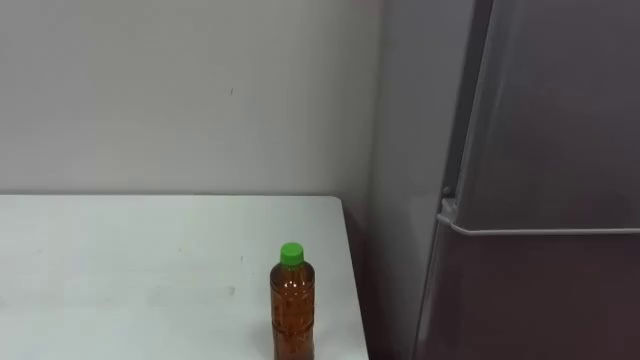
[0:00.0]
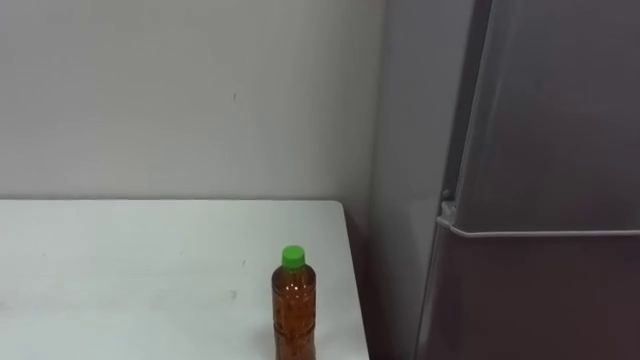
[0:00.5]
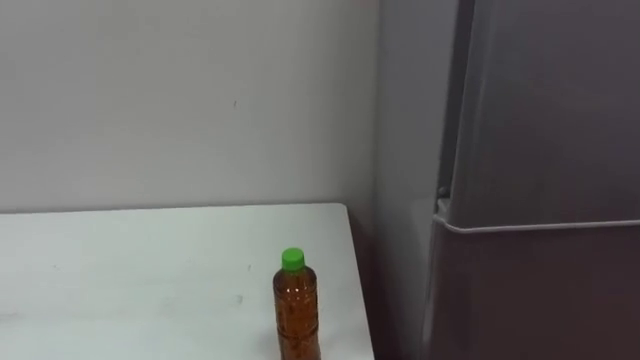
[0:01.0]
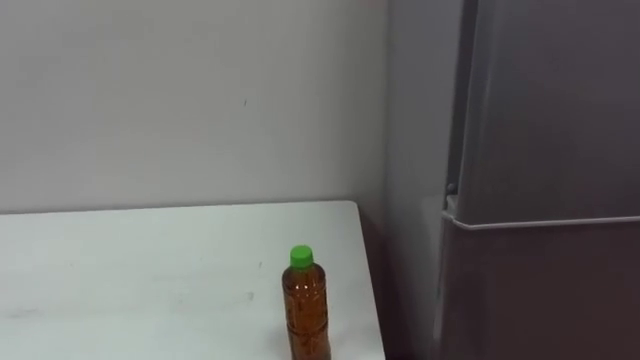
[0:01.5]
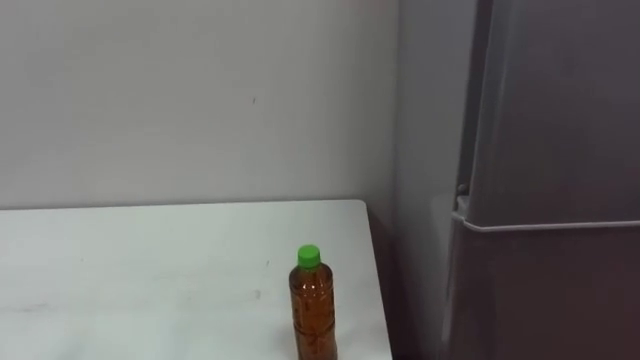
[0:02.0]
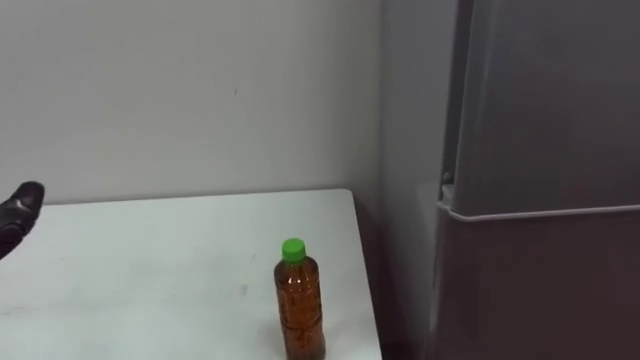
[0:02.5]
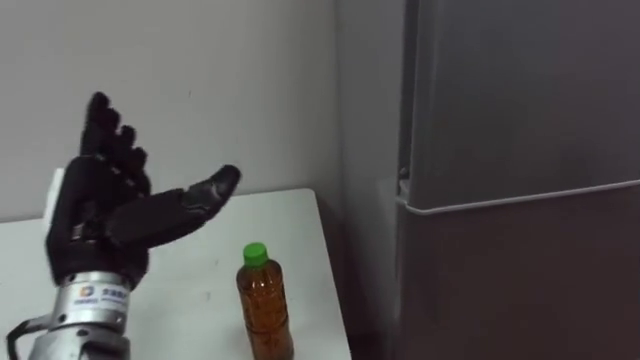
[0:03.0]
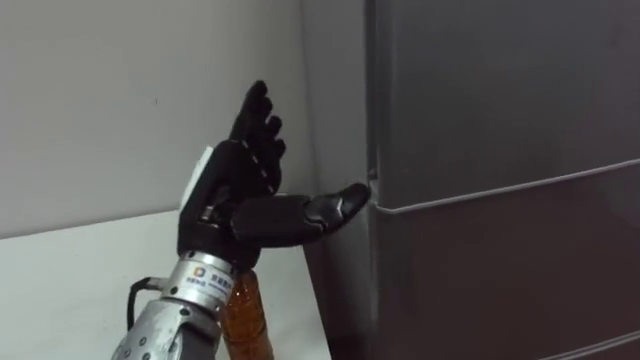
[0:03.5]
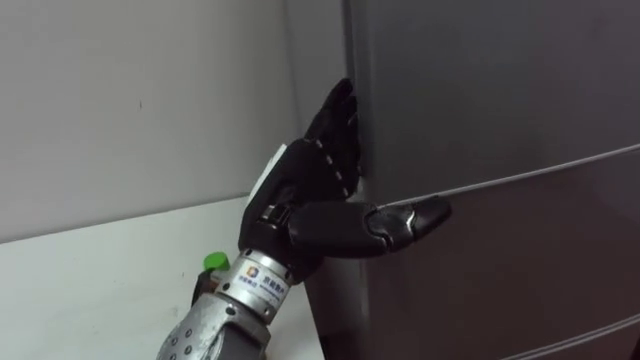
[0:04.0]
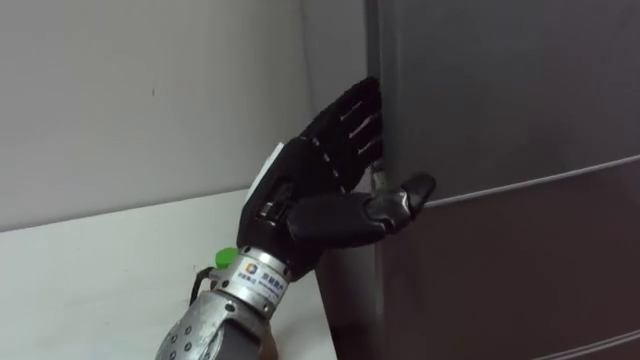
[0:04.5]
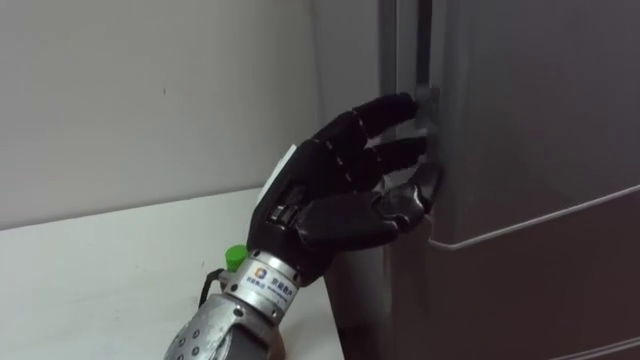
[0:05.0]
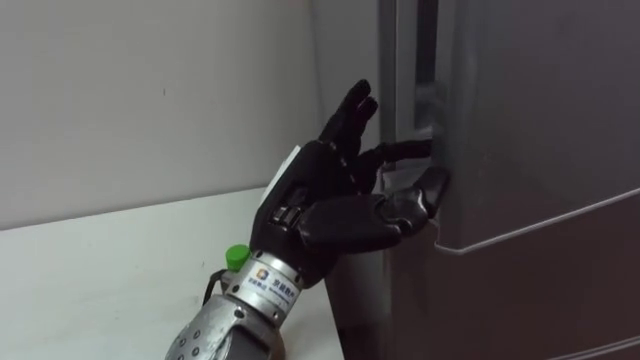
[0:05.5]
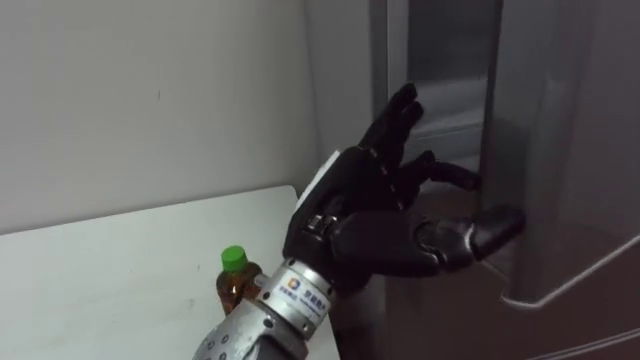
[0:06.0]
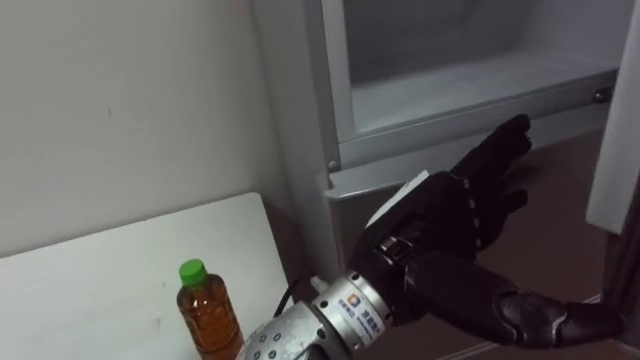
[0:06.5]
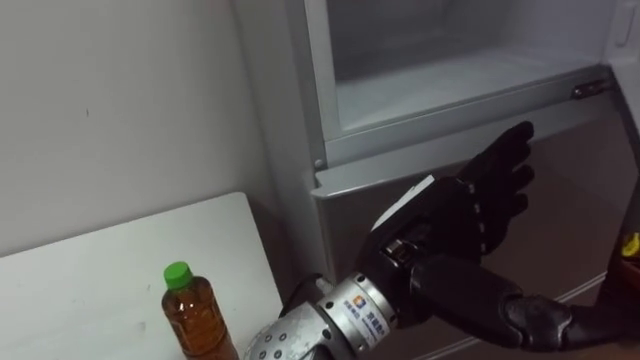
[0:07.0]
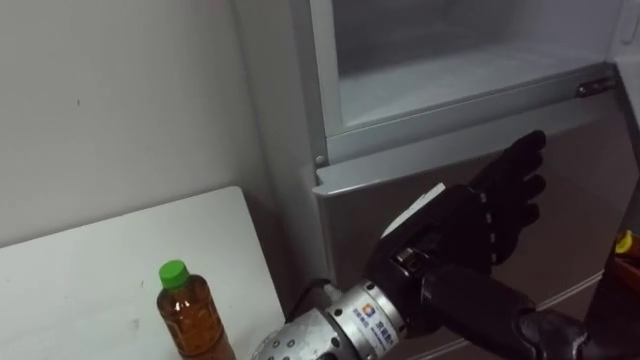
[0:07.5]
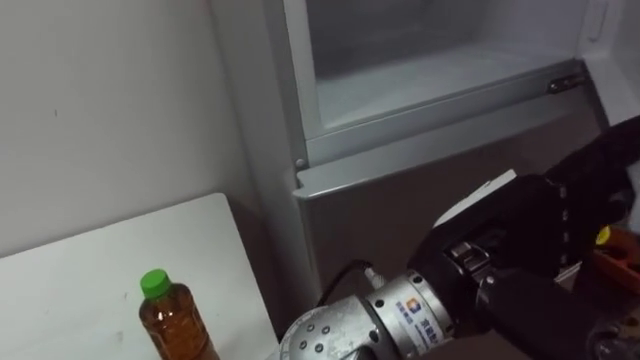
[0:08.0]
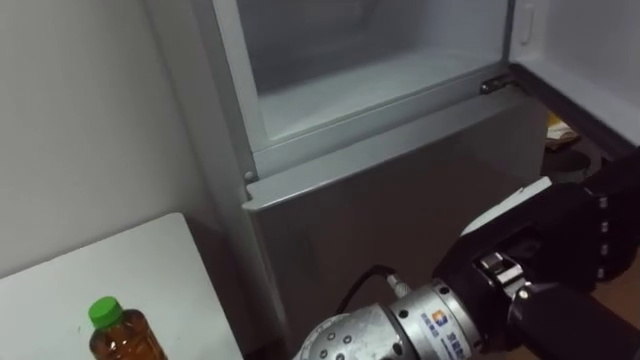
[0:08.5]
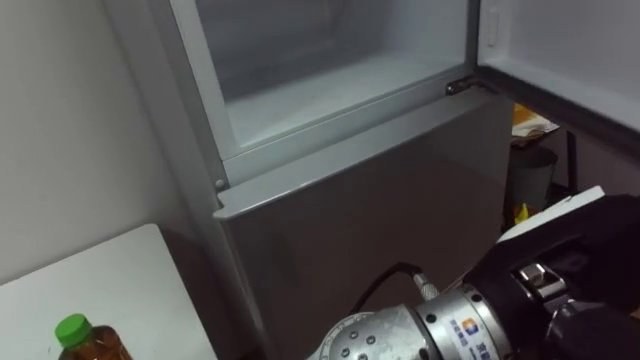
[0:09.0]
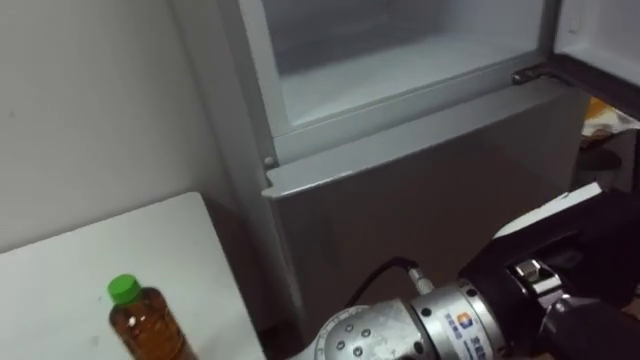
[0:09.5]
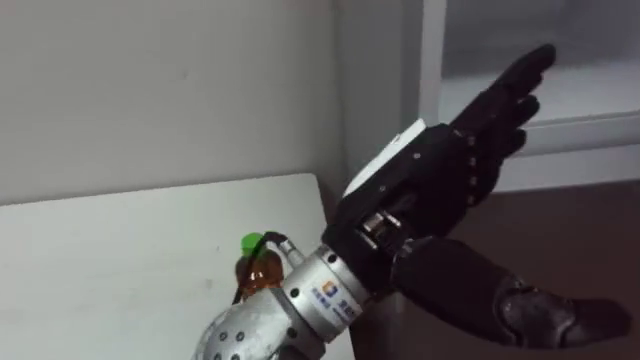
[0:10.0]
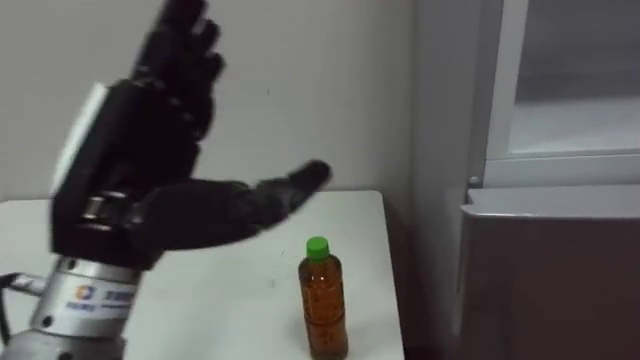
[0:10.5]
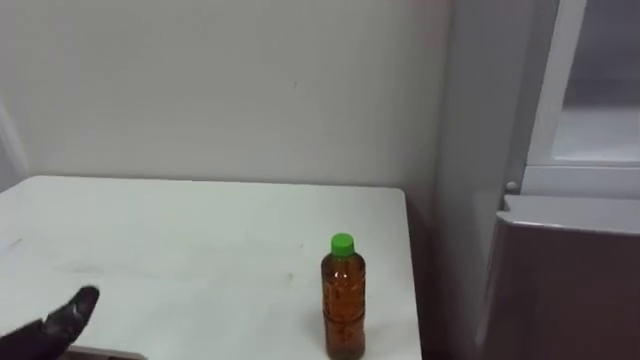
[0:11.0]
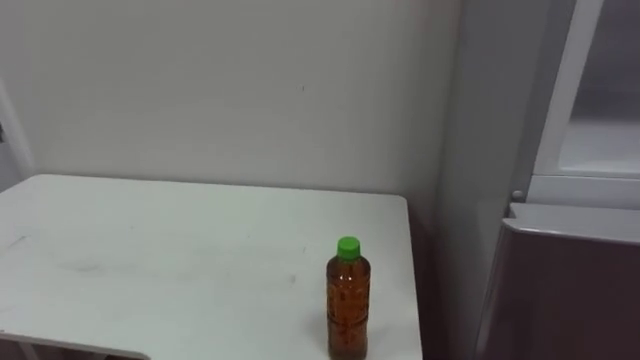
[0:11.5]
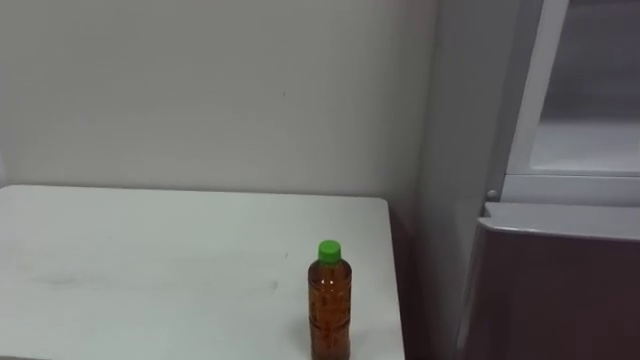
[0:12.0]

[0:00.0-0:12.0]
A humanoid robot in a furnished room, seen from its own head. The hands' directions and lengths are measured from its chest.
Task of the whole recording: Open the upper refrigerator door, put the drink from the table into the refrigerator, and then close the refrigerator door.
0:06.0 to 0:08.0: The left hand shifts roughly 10 cm to the right and backward.
0:08.0 to 0:10.0: The left hand is displaced to the left by some 5 cm.

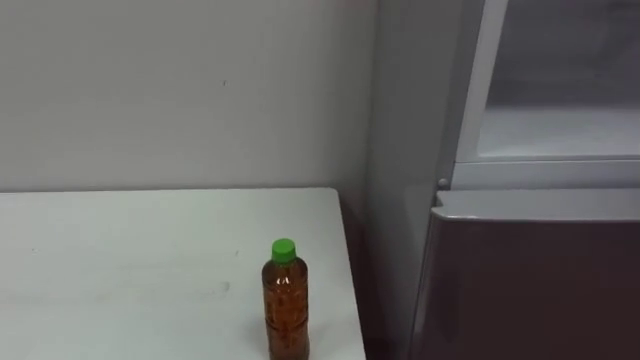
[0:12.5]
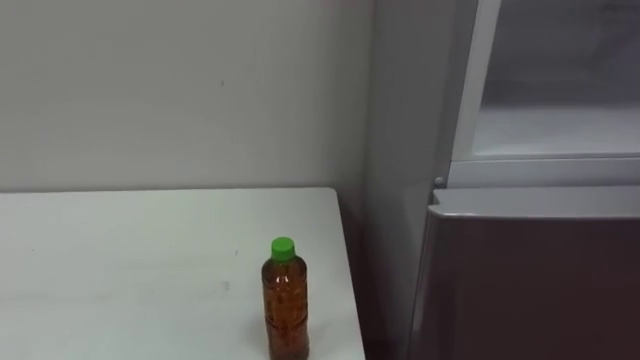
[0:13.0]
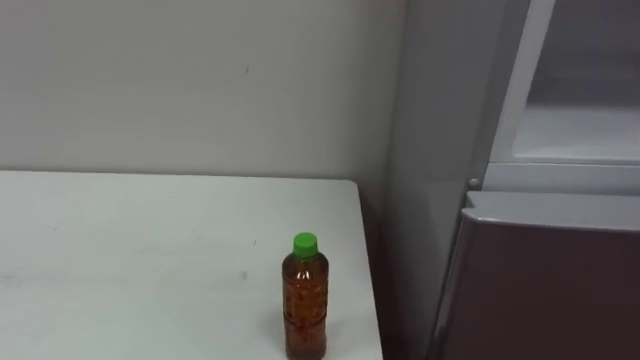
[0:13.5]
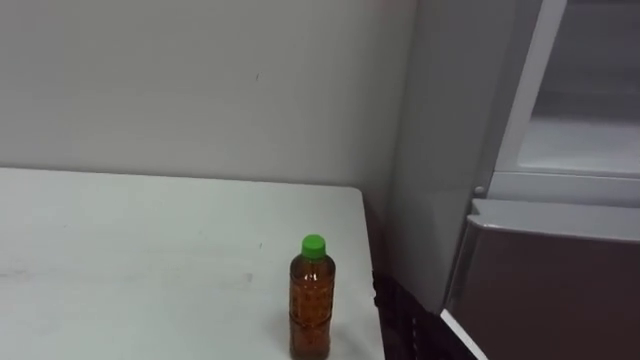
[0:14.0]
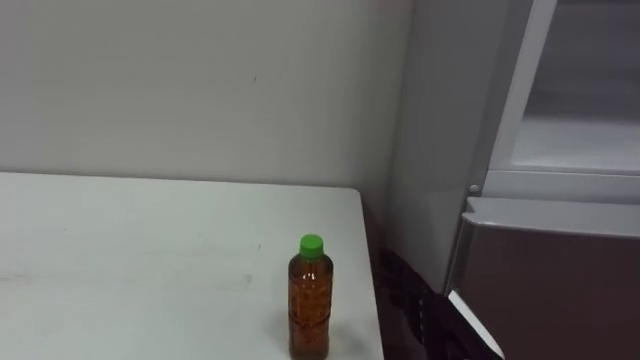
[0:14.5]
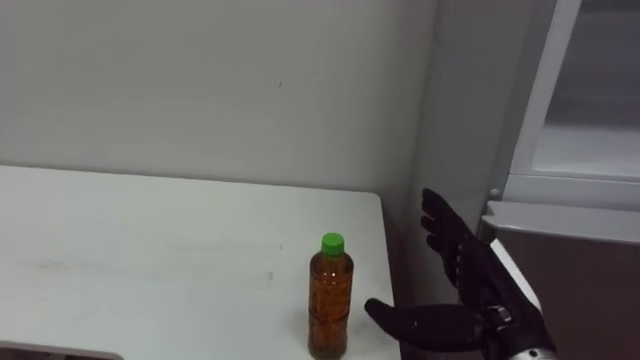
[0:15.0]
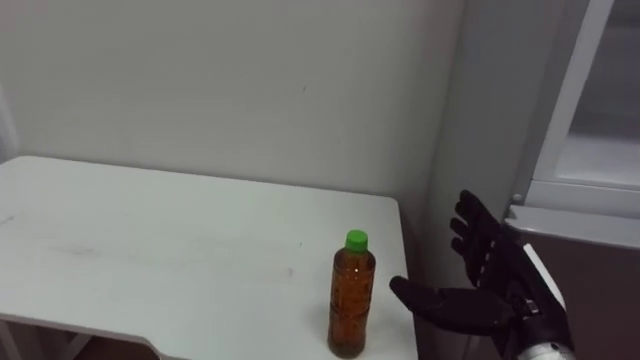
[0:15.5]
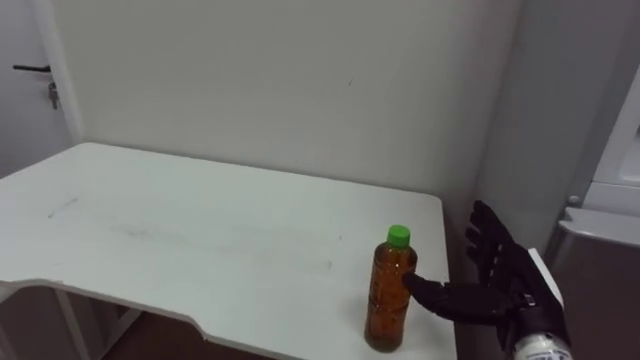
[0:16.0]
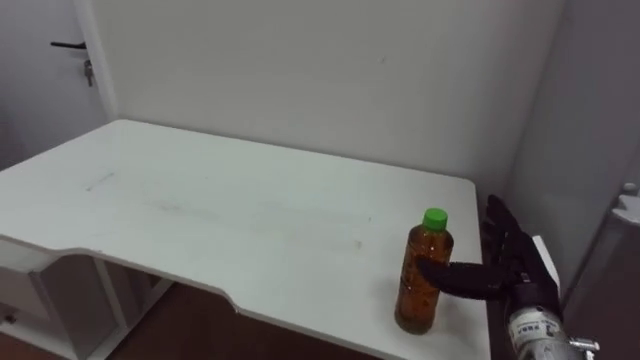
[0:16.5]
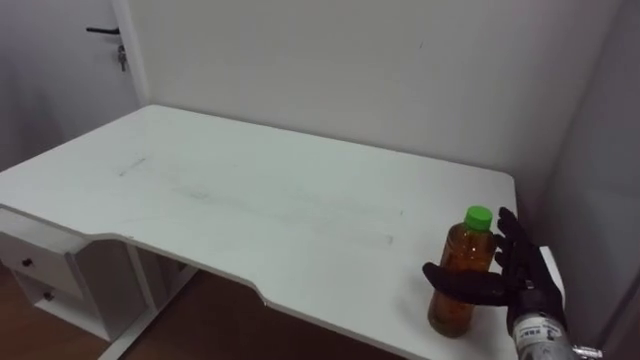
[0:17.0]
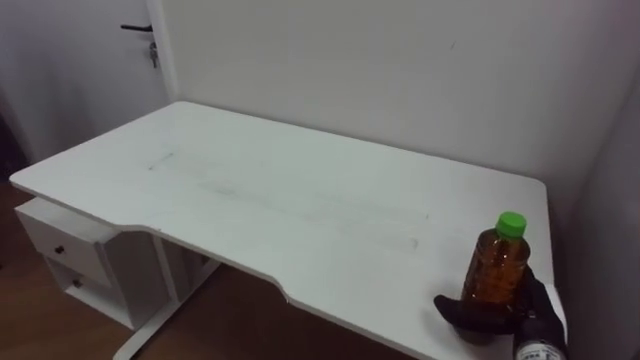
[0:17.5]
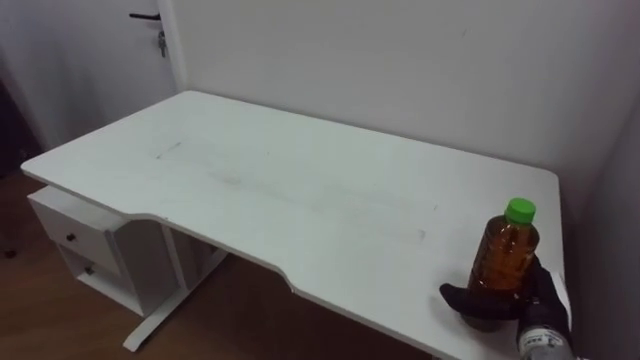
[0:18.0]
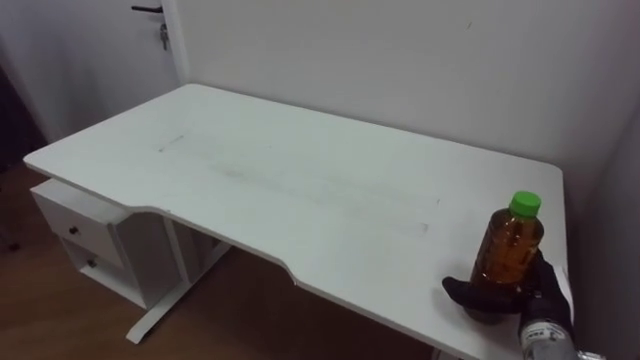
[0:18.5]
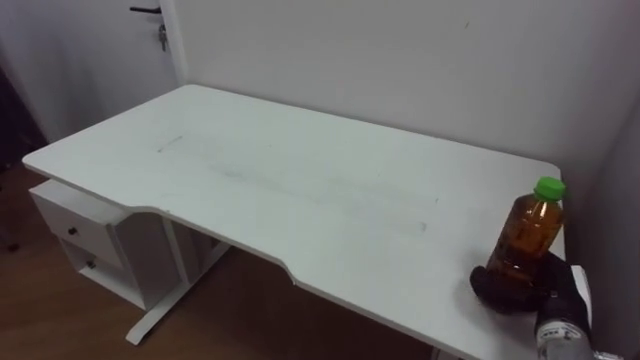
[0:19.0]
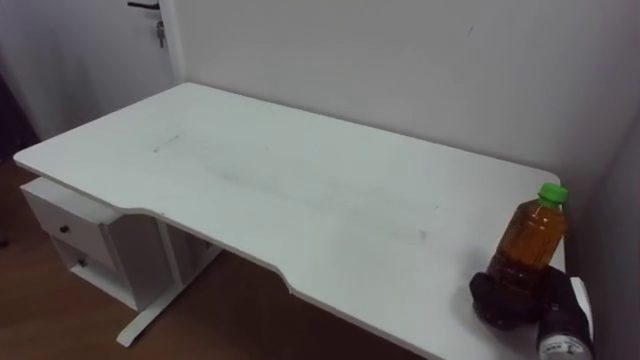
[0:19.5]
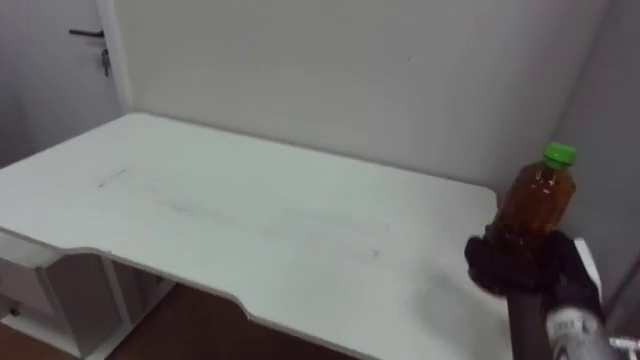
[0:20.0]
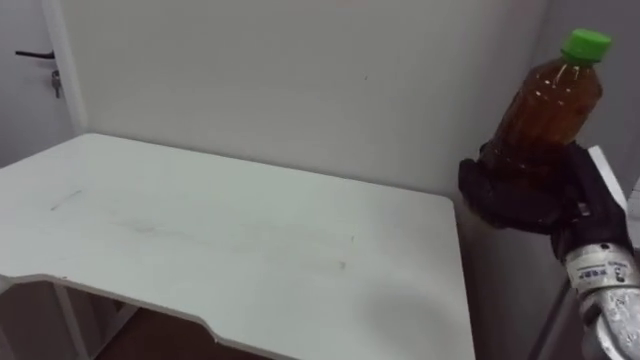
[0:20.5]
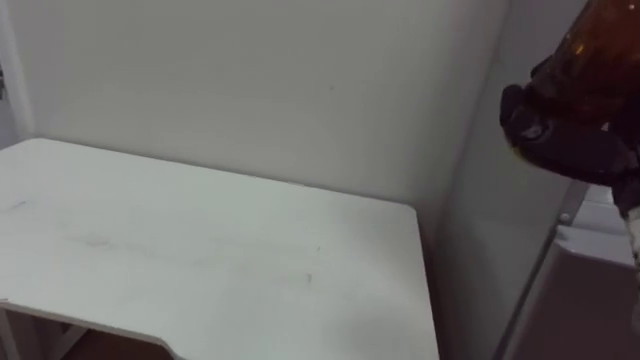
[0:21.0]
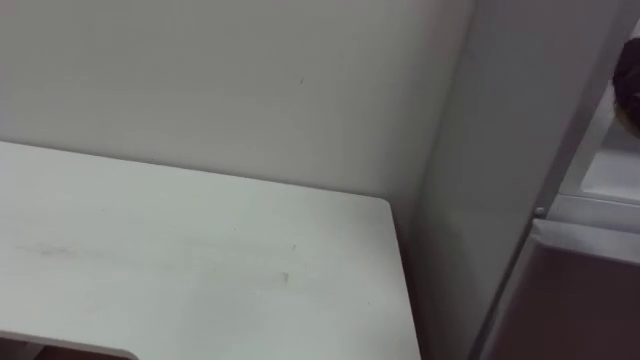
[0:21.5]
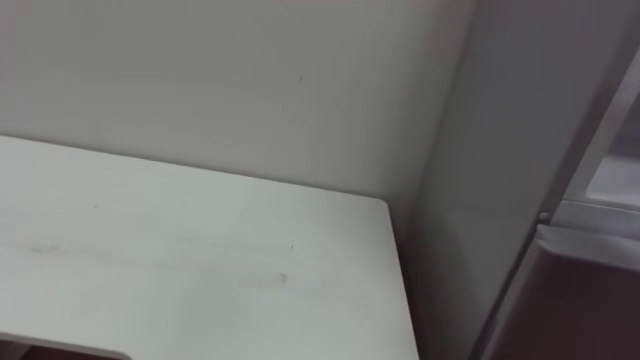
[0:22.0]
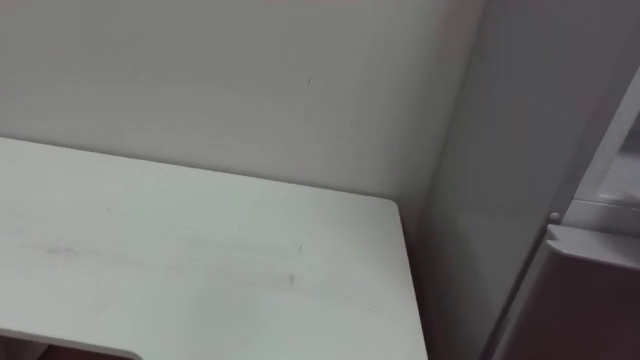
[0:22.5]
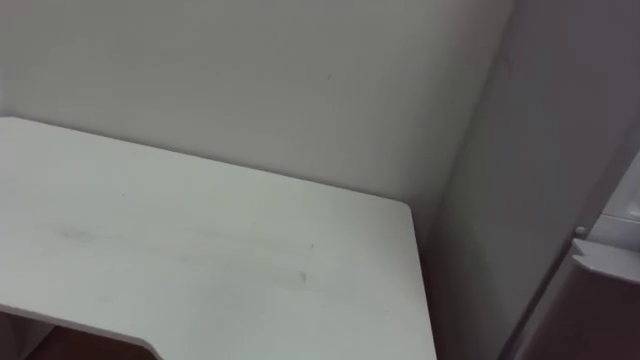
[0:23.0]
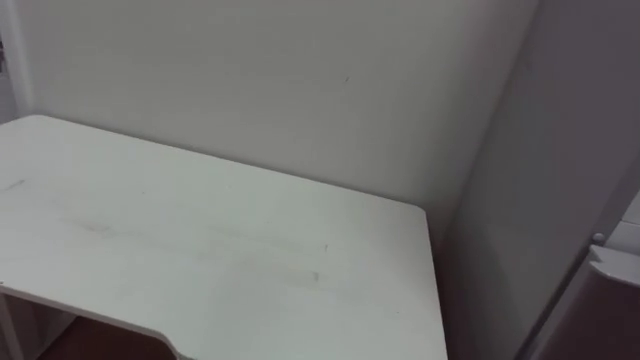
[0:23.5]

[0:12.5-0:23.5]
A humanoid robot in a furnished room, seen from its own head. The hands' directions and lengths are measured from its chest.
Task of the whole recording: Open the upper refrigerator door, put the drink from the table into the refrigerator, and then close the refrigerator door.
0:14.5 to 0:16.0: The right hand travels to the right and forward by some 10 cm.
0:16.0 to 0:18.0: The right hand travels downward by approximately 5 cm.
0:18.0 to 0:20.0: The right hand heads upward, covering approximately 5 cm, and closes its fingers.
